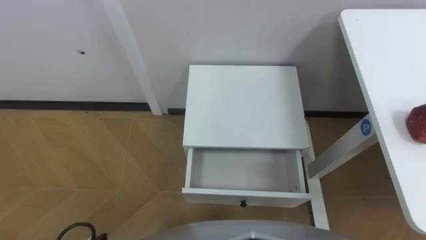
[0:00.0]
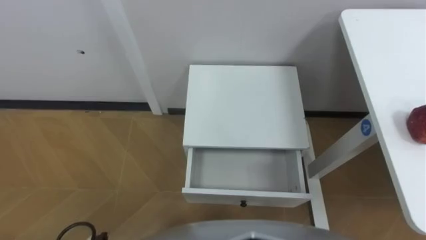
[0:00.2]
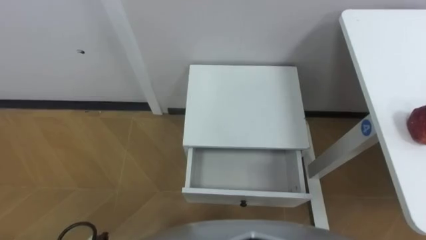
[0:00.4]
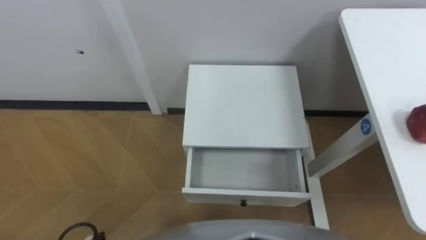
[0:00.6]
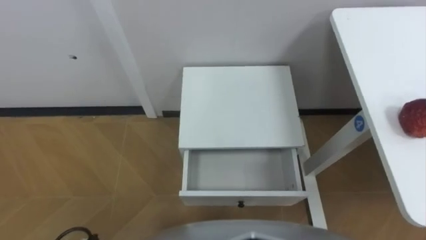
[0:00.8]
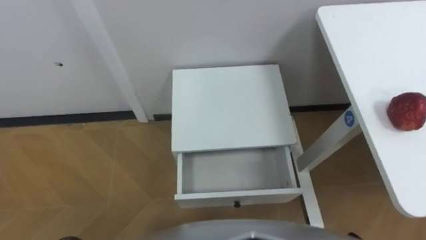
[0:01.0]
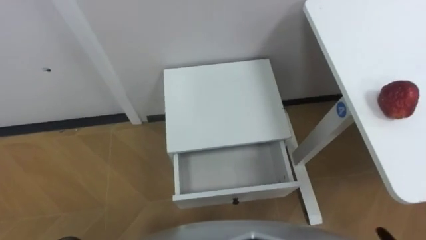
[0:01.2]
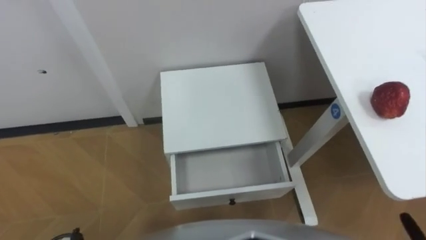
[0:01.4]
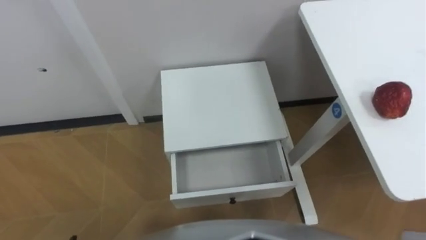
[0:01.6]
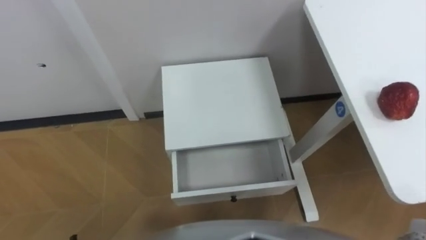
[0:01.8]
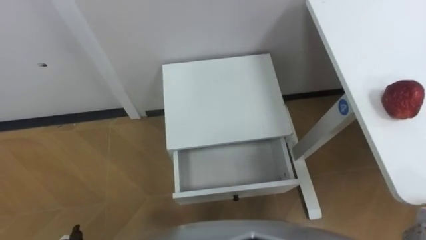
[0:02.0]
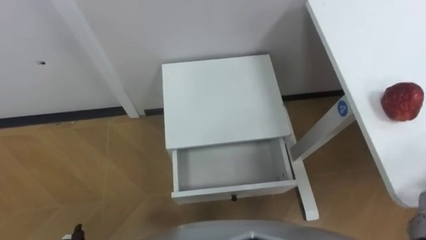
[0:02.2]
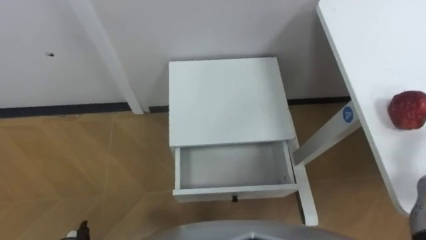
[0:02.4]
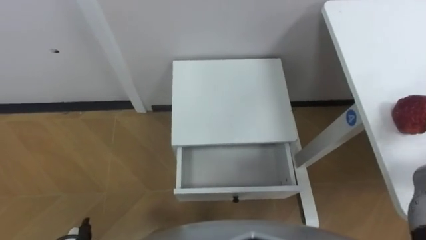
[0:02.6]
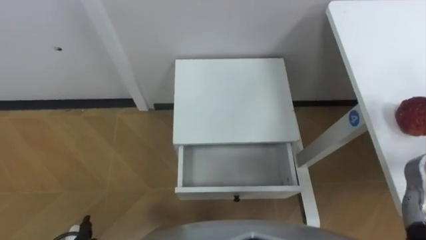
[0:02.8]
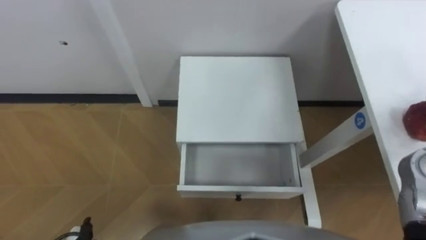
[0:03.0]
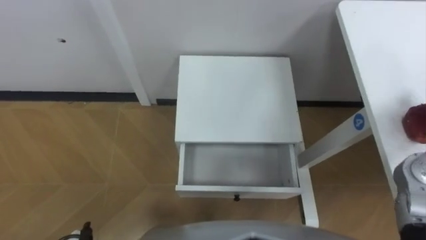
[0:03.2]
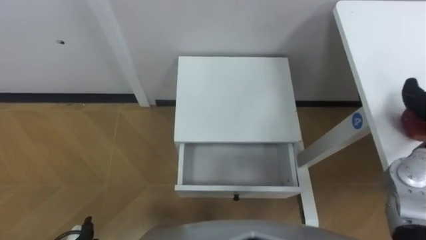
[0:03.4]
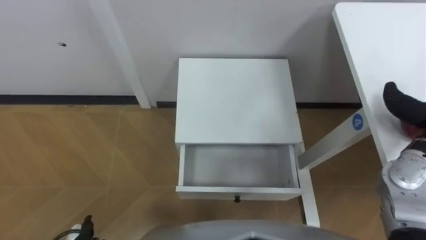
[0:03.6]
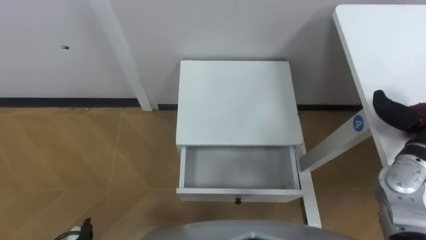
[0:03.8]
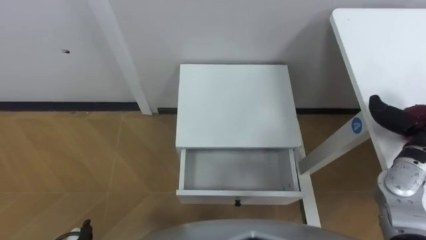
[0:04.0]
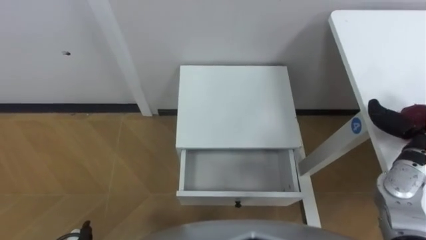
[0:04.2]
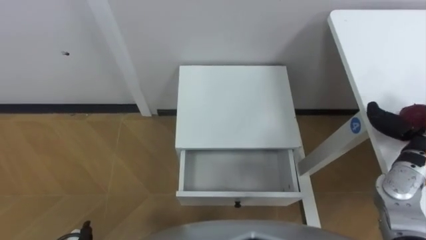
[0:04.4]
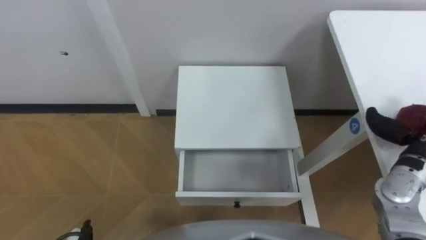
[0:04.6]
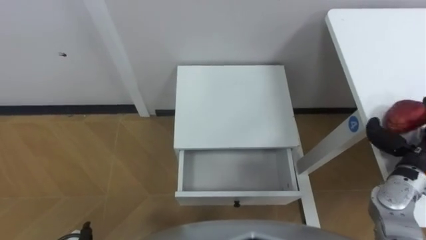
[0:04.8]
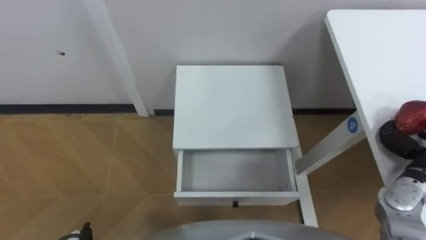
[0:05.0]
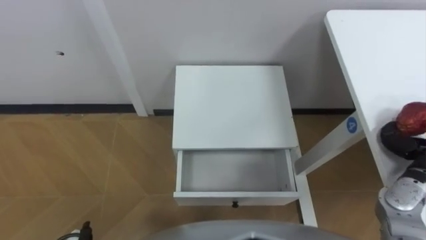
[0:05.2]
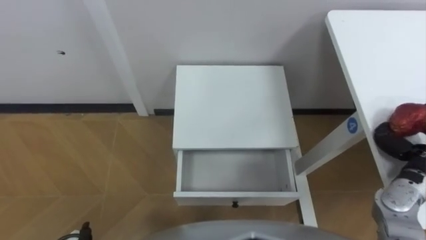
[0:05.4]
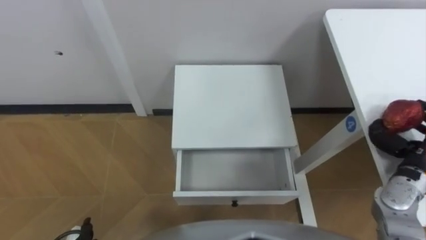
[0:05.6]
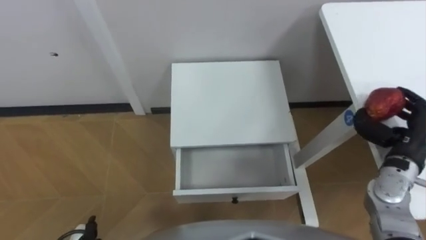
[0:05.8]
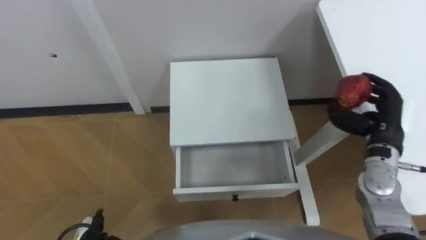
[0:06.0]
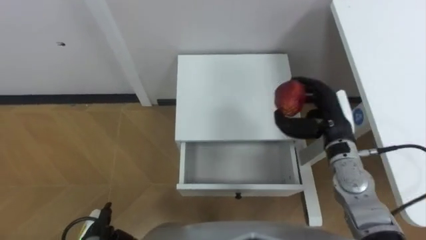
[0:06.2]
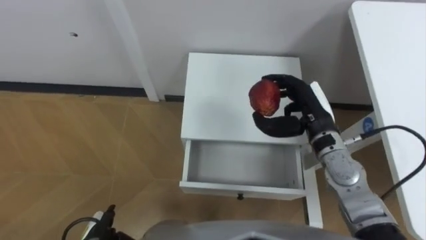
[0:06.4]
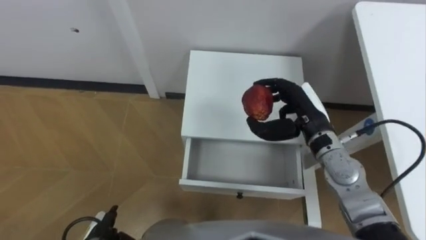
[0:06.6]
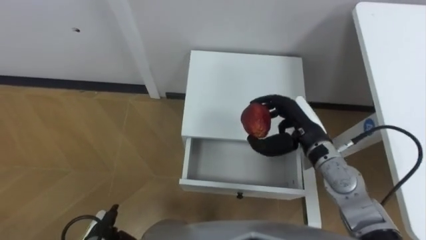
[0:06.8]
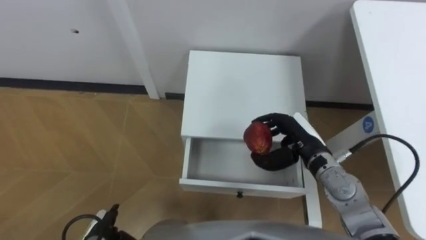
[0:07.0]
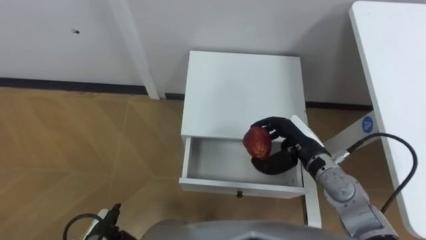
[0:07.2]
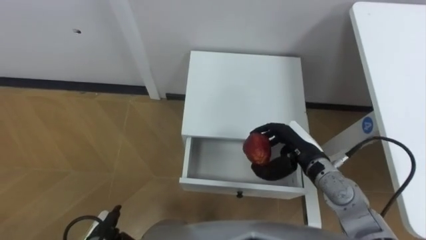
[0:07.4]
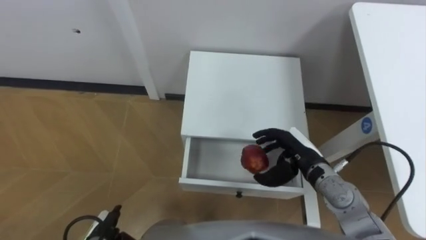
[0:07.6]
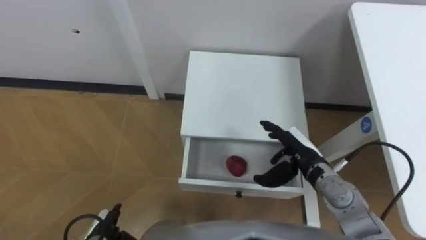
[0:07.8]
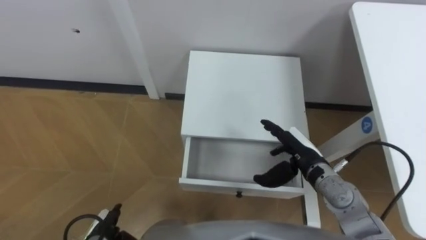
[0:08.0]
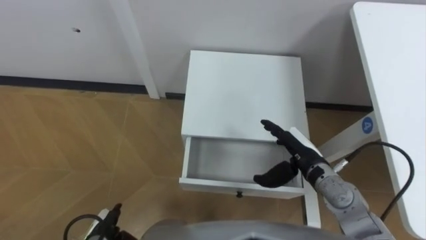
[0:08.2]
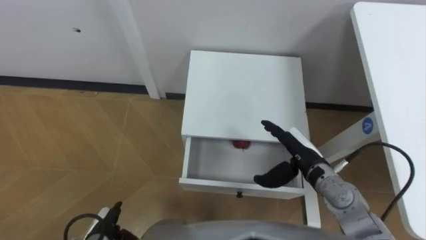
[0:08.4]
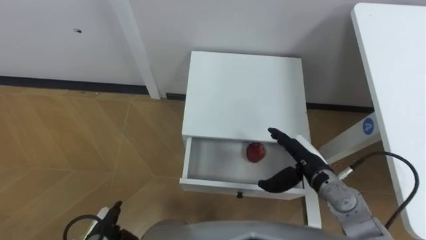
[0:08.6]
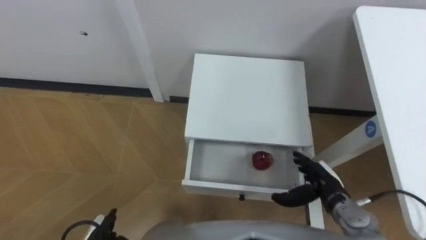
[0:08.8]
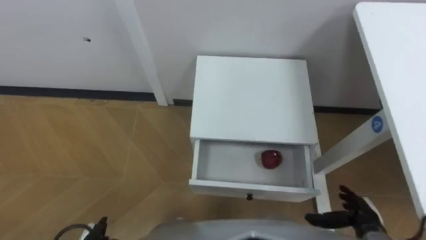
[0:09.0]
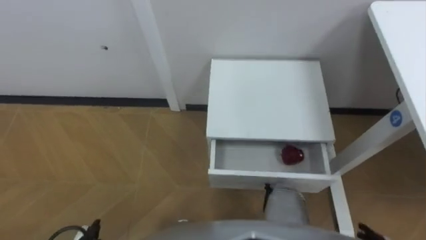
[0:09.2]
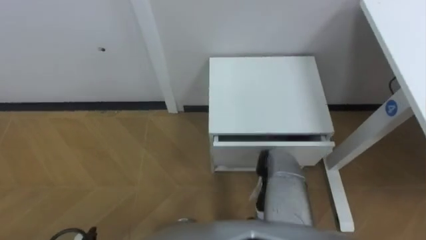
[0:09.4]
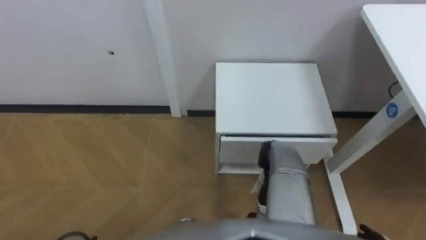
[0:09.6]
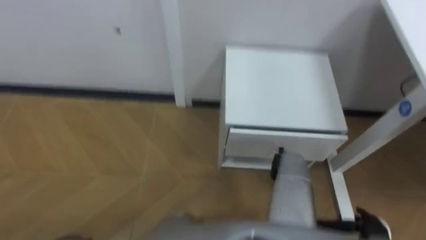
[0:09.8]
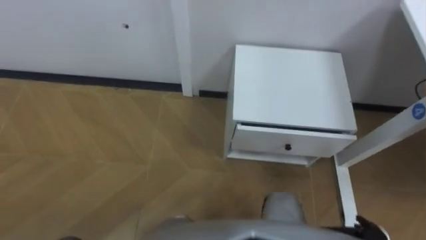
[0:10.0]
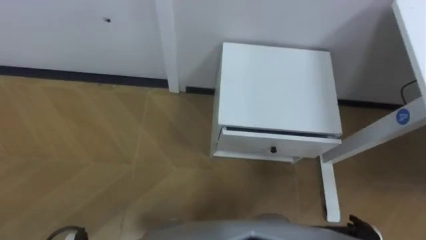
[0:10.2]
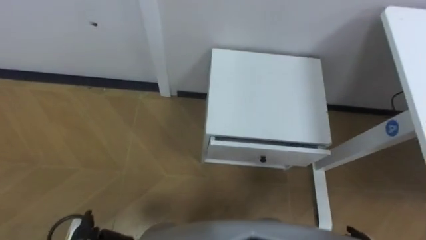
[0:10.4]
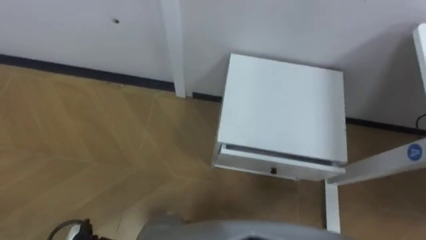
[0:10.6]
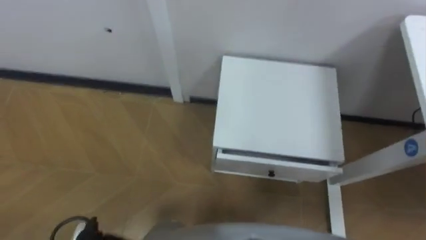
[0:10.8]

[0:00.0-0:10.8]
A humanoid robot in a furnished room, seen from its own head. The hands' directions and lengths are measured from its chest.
Task of the whole recording: Pick up the apple from the table, put it in the drawer, and close the drawer with leg.
0:04.6 to 0:06.2: The right hand heads to the left, covering some 15 cm, and closes.
0:06.2 to 0:07.8: The right hand travels downward and to the left by approximately 10 cm, and opens.

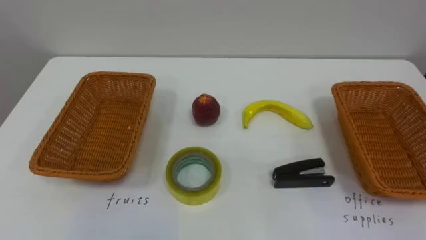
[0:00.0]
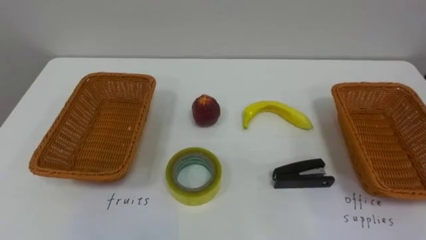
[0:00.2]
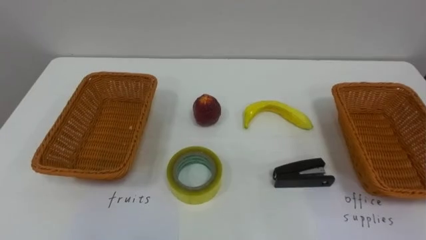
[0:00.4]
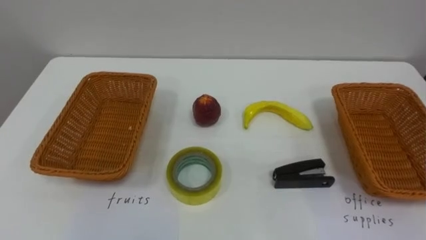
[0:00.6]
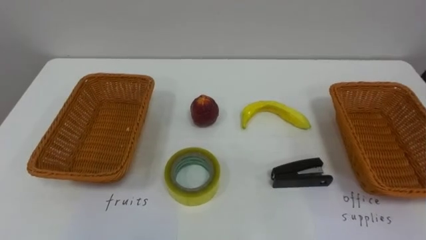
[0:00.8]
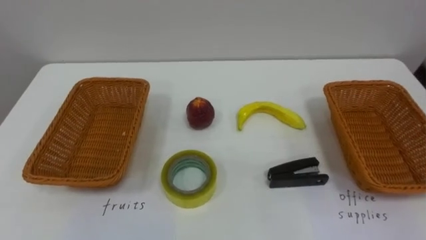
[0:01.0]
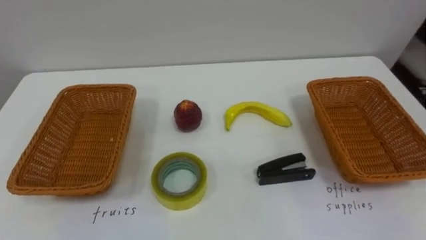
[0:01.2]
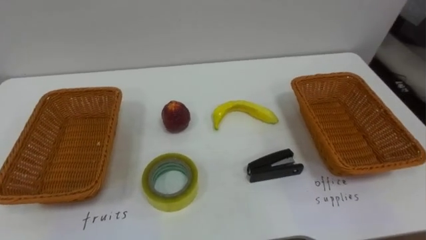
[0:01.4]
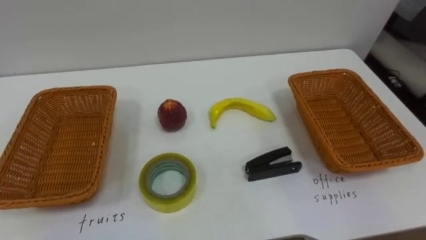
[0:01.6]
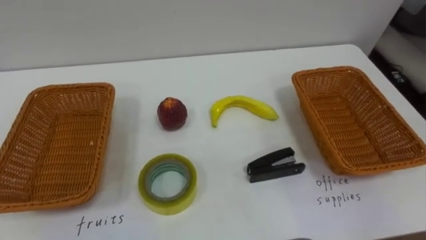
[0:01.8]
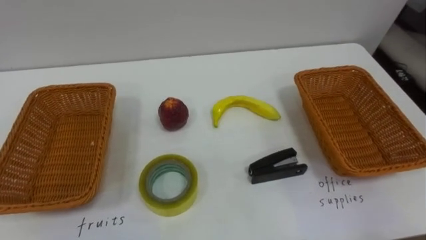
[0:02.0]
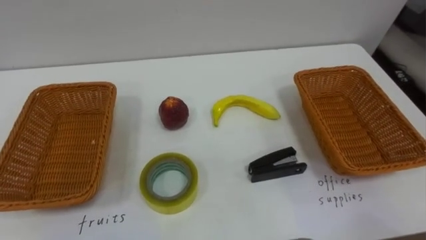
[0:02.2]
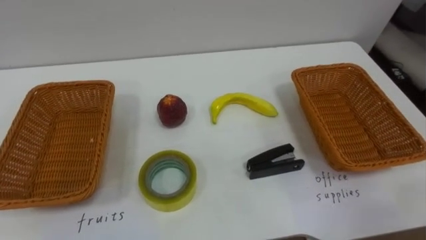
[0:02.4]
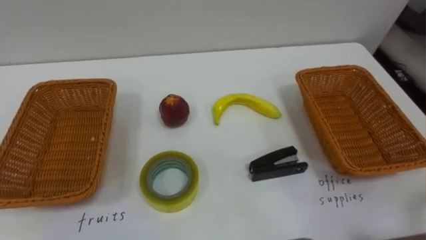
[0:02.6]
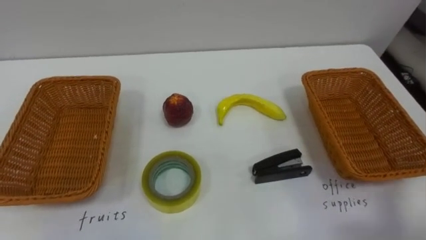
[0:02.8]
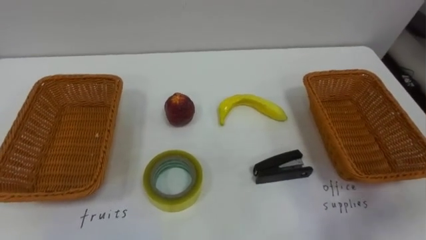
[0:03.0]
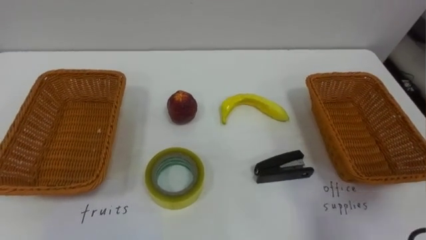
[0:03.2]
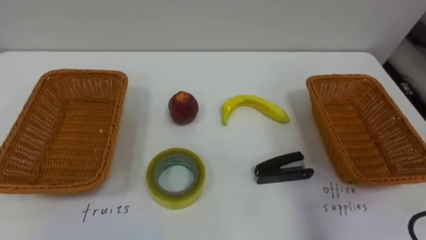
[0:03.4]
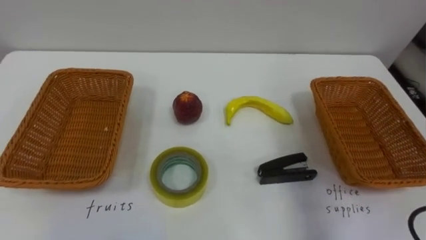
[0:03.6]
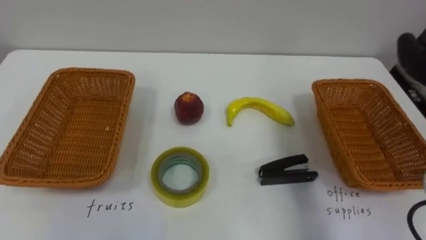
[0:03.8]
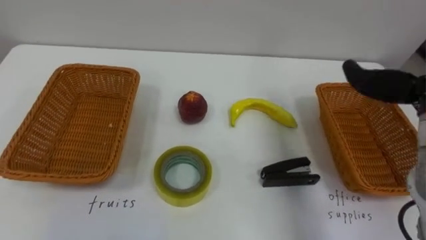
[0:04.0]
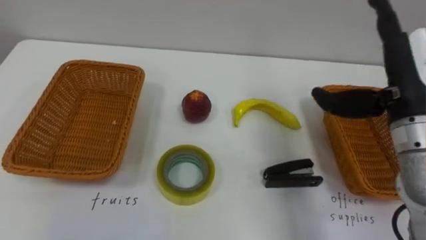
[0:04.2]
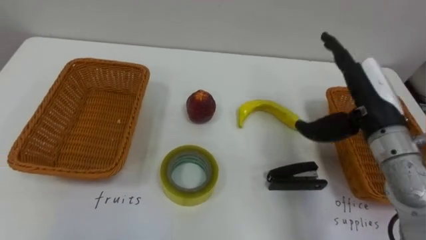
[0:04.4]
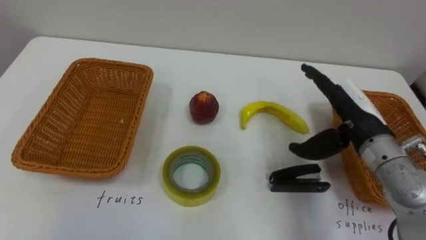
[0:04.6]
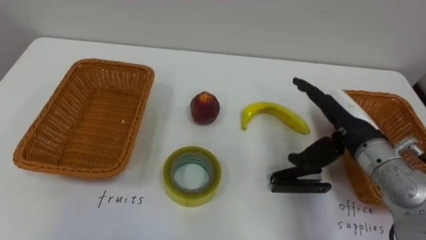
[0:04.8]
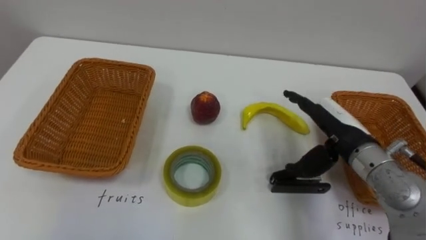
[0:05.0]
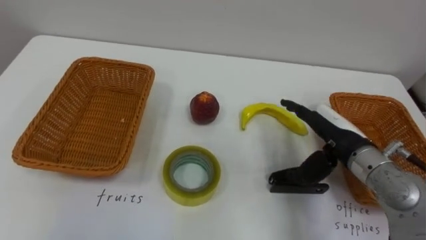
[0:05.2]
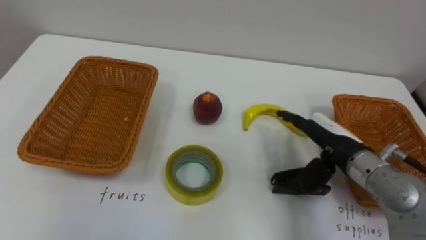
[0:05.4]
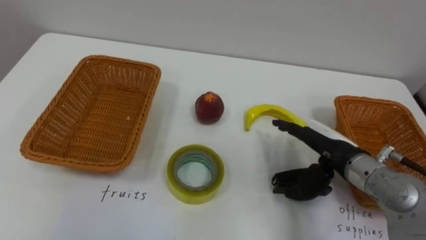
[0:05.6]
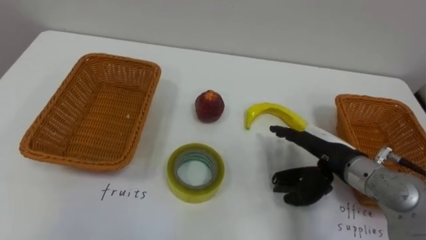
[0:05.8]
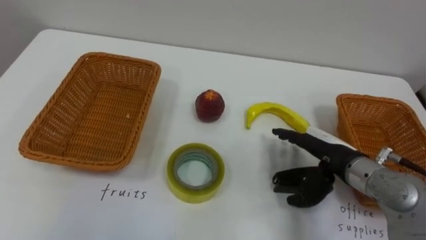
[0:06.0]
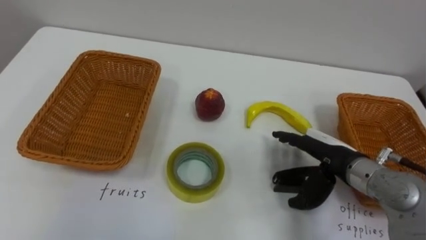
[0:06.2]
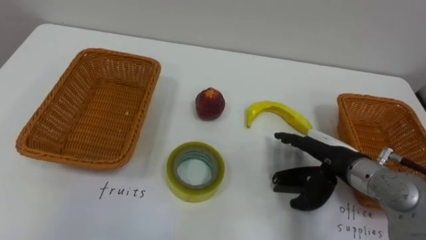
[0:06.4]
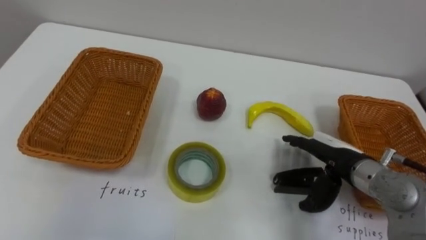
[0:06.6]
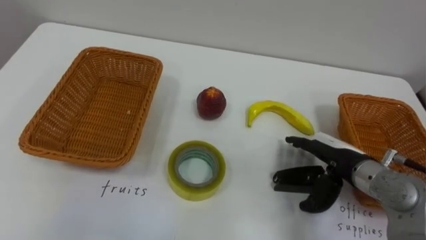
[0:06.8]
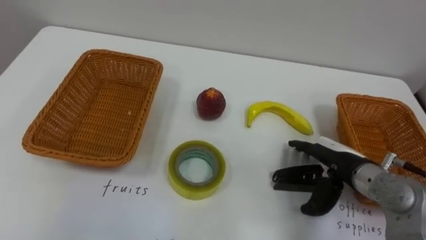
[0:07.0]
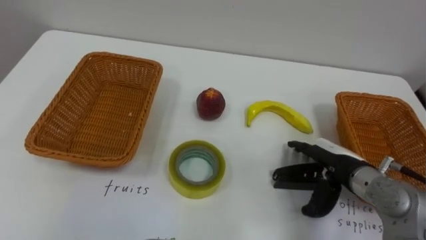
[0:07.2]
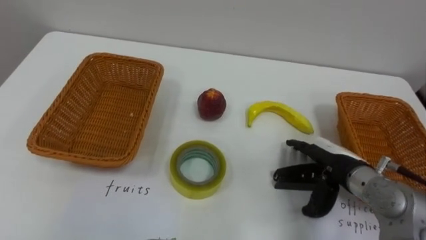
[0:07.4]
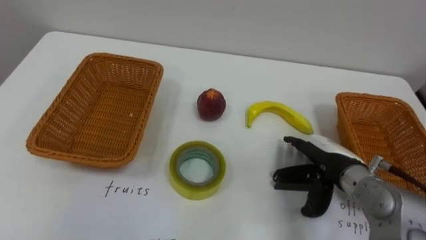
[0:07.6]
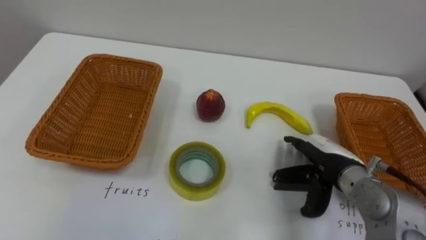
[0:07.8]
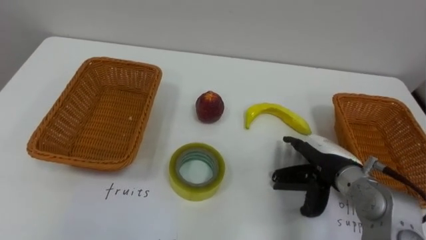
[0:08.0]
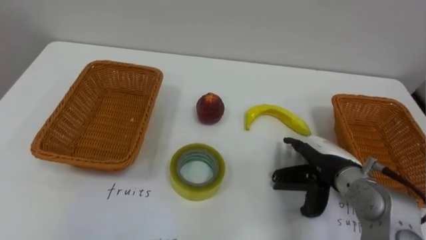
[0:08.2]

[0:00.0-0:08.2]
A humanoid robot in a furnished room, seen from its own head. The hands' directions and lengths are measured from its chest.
Task of the whole recording: Separate the items on the table and place them into the two baskets.
0:05.0 to 0:06.6: The right hand ends up about 5 cm from where it was.
